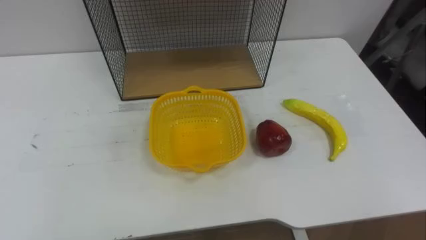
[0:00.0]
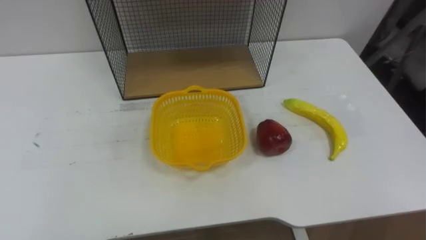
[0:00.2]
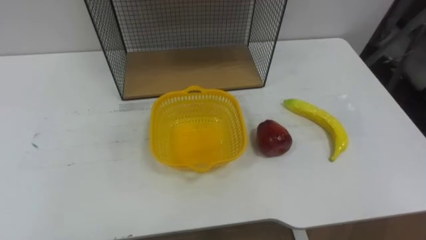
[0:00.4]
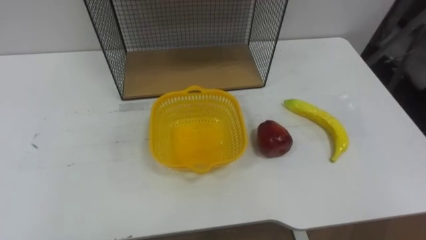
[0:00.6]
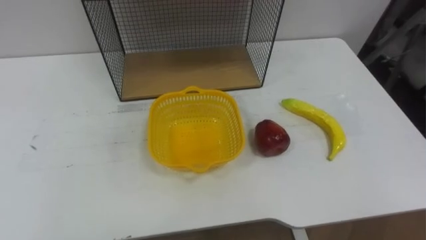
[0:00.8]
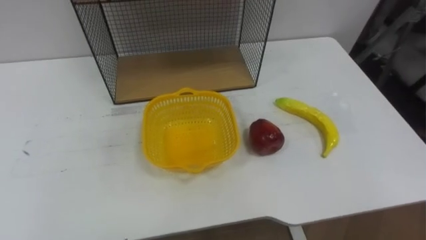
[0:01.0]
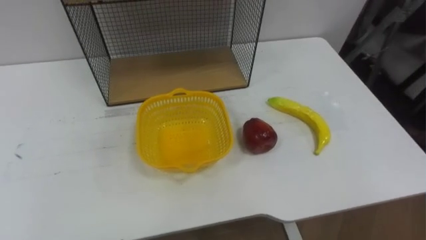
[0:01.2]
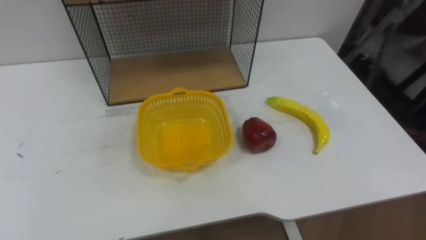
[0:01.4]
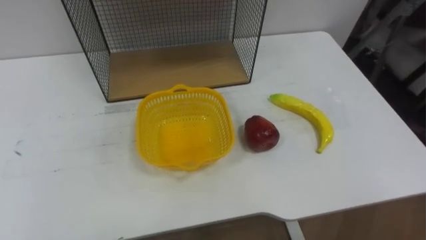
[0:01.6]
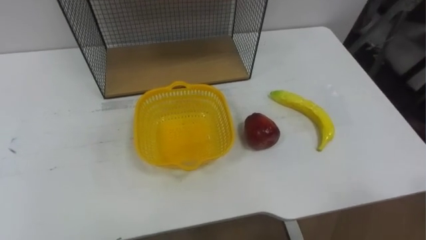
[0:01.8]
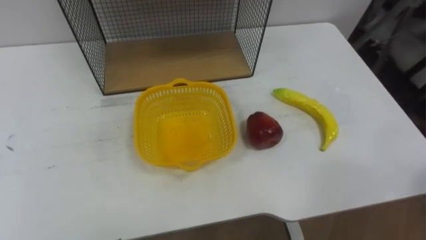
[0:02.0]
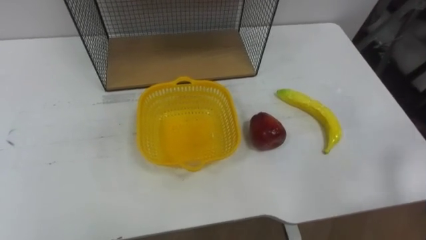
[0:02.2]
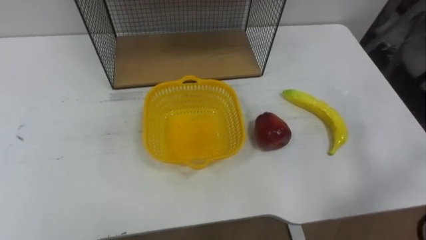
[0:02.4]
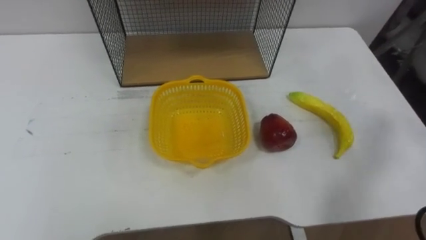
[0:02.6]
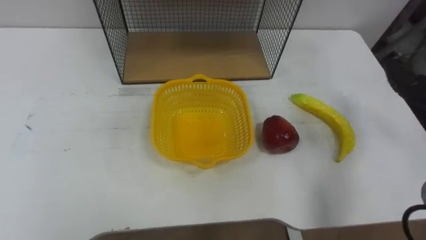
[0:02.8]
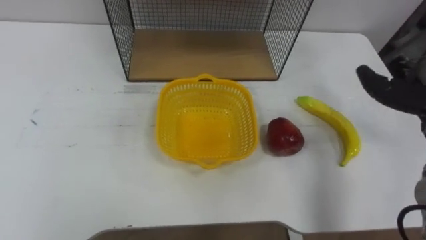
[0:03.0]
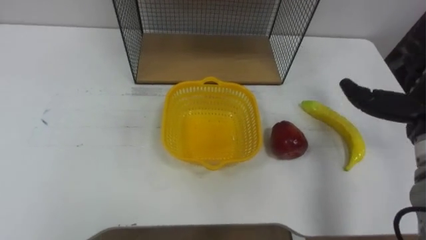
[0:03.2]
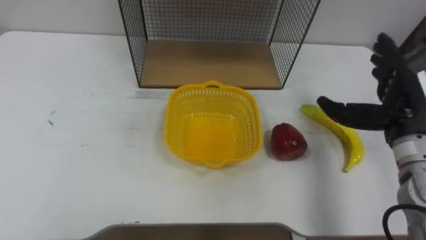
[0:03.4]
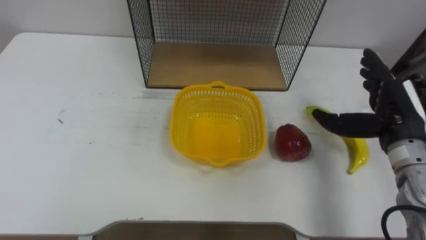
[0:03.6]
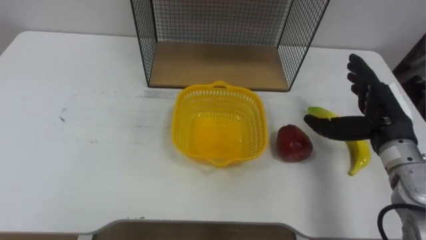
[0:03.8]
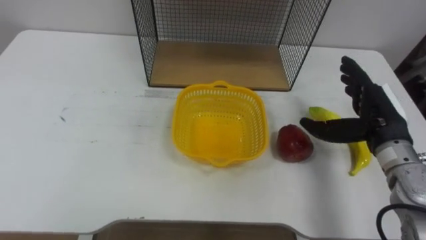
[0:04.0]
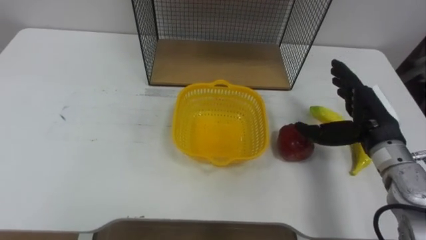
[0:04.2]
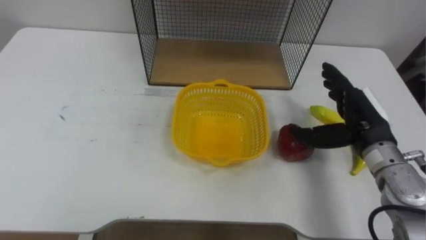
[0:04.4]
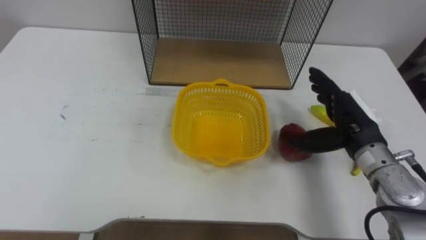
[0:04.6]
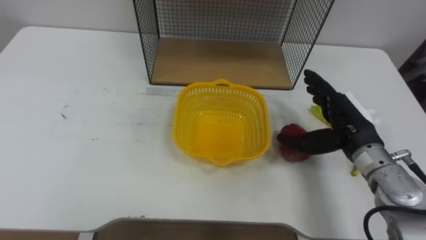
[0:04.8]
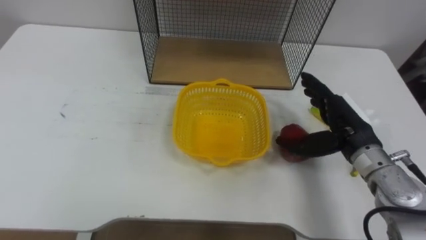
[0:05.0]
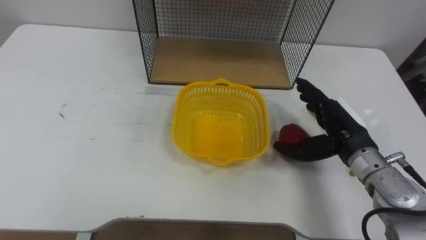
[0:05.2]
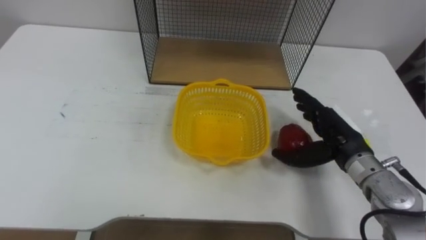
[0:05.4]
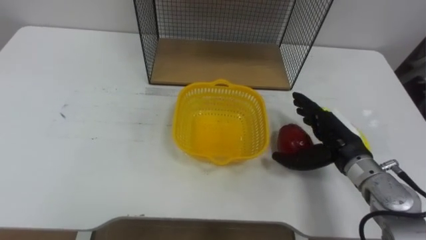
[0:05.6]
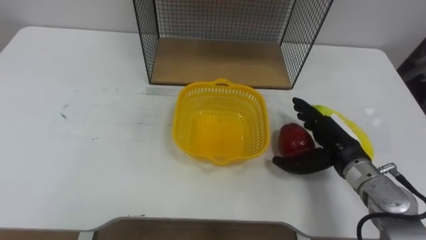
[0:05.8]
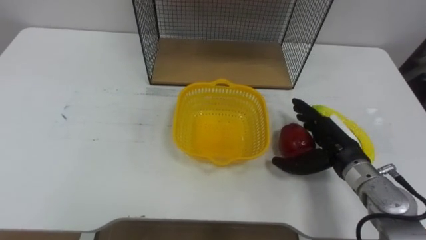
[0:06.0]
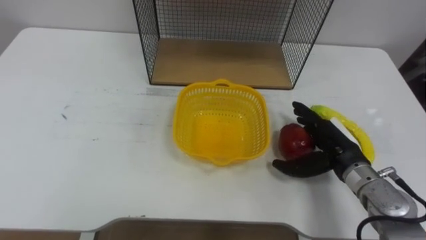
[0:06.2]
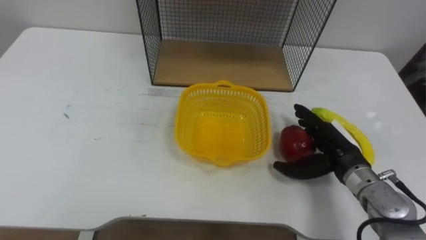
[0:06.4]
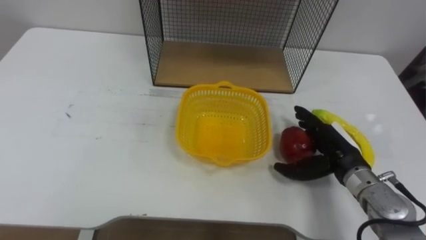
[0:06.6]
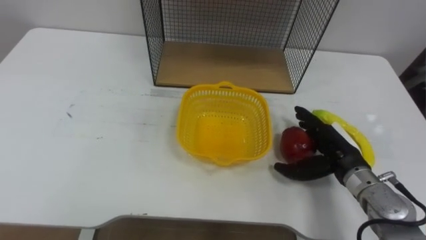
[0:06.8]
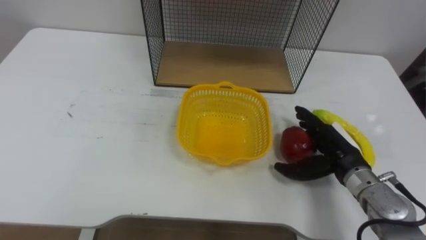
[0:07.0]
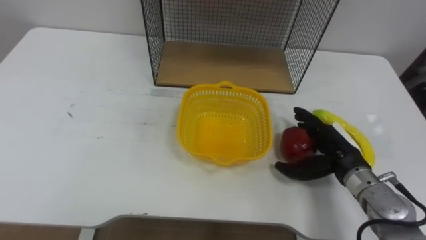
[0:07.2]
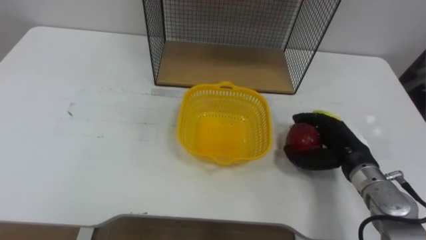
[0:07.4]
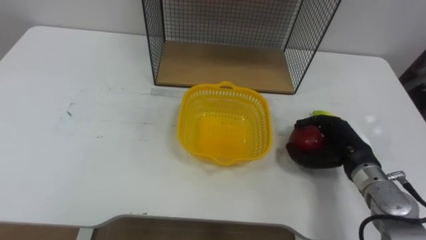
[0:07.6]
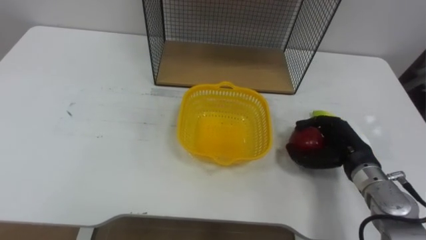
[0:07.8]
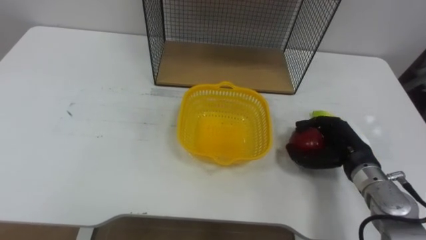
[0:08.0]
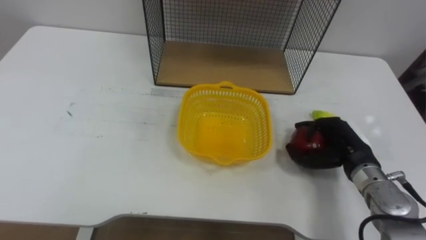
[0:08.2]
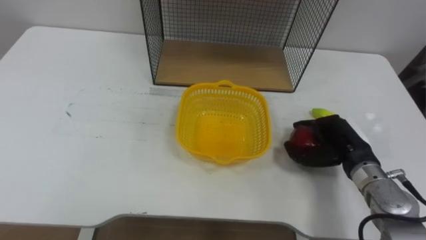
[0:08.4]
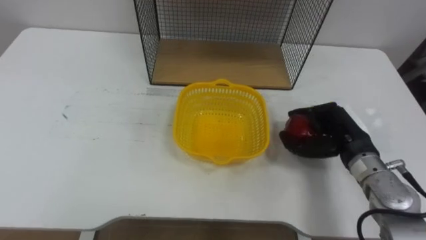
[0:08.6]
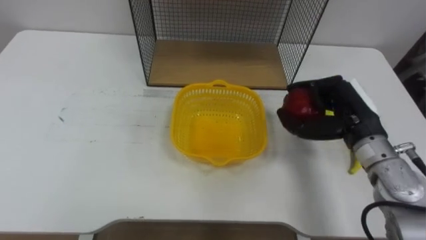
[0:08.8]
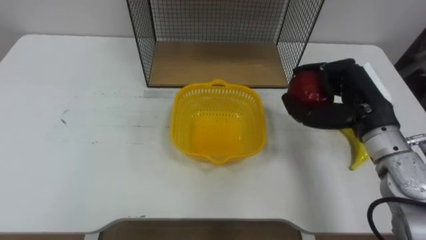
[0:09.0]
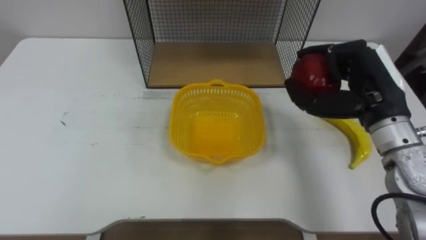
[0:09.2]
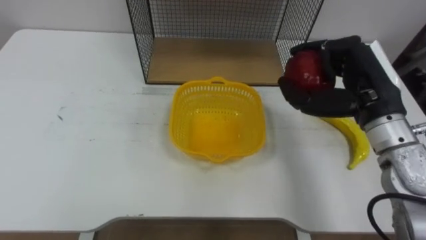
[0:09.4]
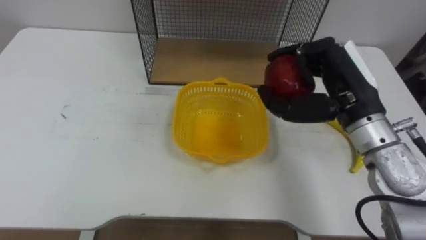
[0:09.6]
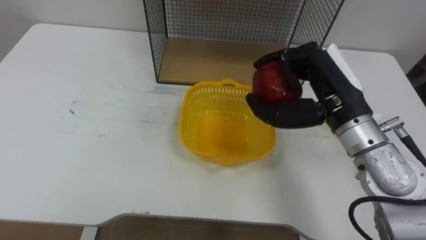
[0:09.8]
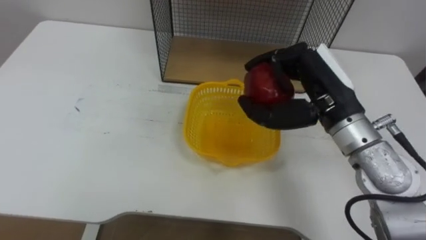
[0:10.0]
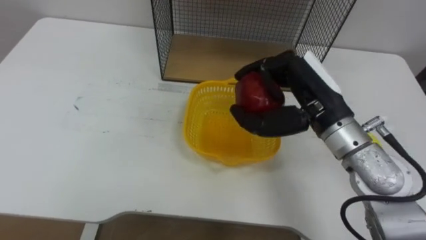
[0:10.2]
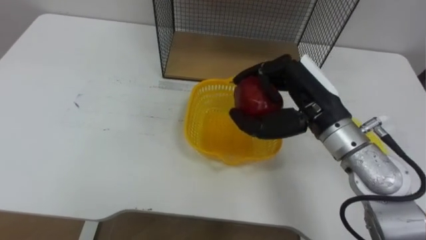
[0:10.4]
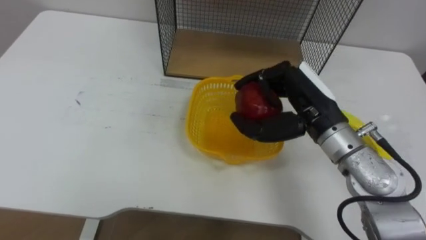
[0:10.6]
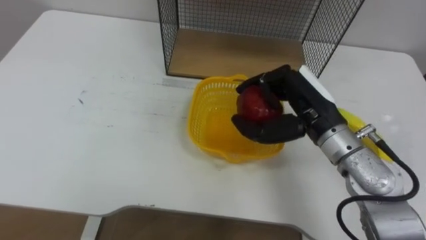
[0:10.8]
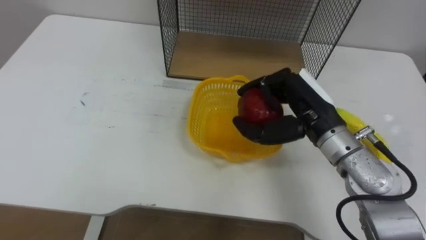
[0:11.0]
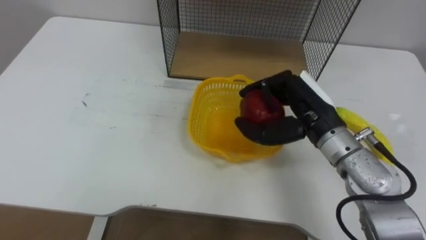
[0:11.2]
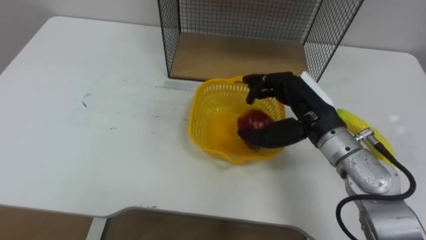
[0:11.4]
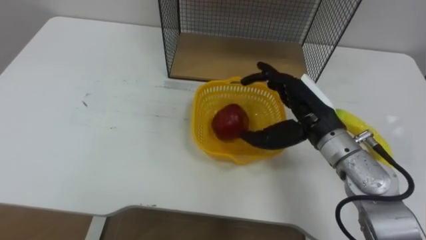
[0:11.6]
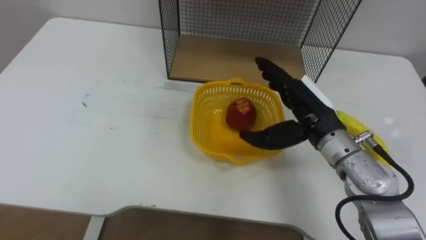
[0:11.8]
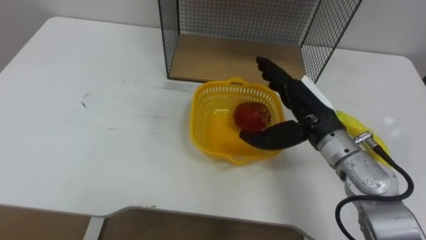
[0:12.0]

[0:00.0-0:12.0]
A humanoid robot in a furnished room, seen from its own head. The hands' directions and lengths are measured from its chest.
Task of the whole recording: Put the fruit on the table into the basket, then place the basket on the shelf.
0:04.4 to 0:06.0: The right hand moves downward, approximately 5 cm.
0:06.0 to 0:07.6: The right hand closes its fingers.
0:07.6 to 0:09.0: The right hand is displaced upward by roughly 10 cm.
0:09.0 to 0:10.4: The right hand goes some 10 cm to the left.
0:10.4 to 0:12.0: The right hand ends up about 5 cm from where it was, and opens.

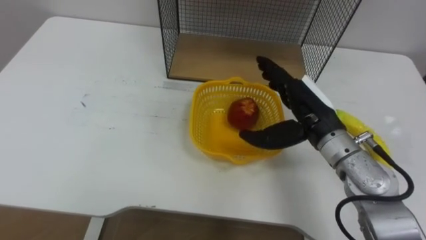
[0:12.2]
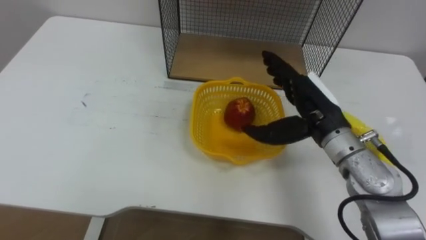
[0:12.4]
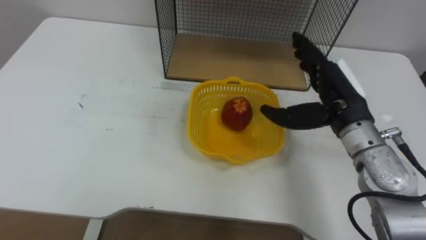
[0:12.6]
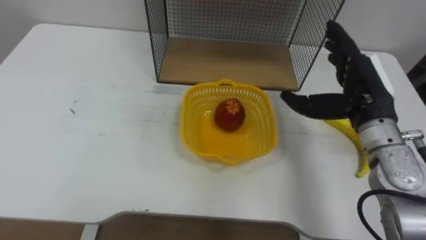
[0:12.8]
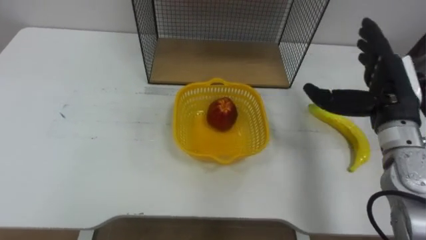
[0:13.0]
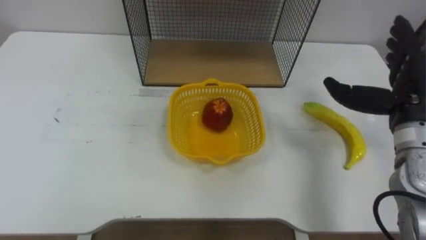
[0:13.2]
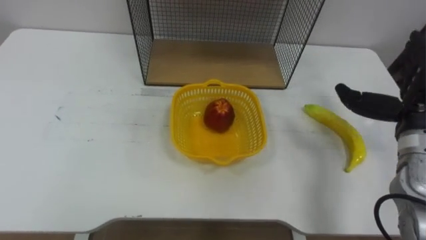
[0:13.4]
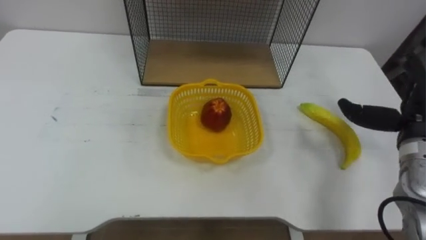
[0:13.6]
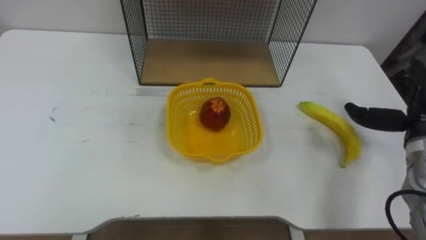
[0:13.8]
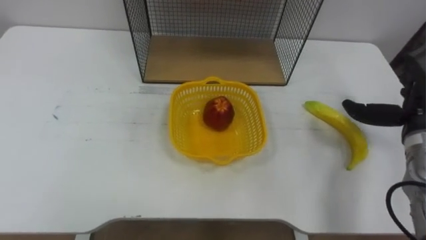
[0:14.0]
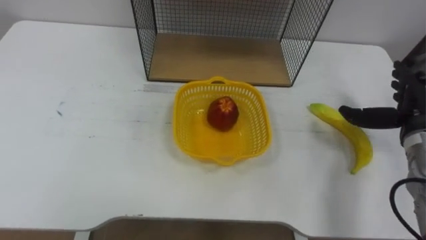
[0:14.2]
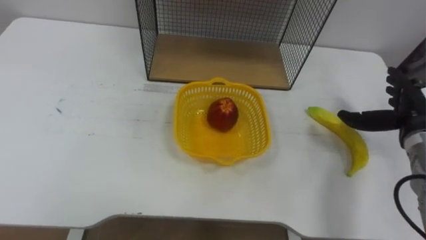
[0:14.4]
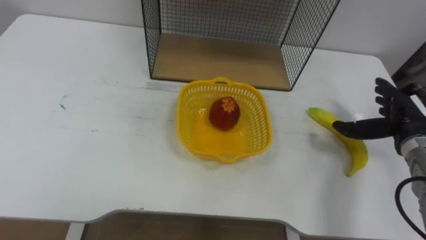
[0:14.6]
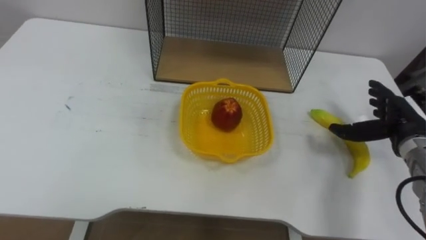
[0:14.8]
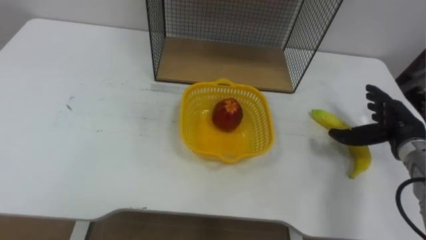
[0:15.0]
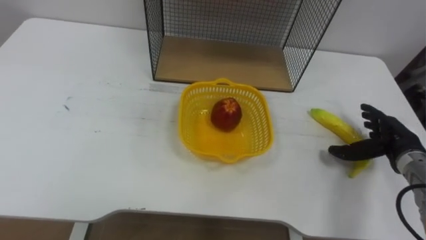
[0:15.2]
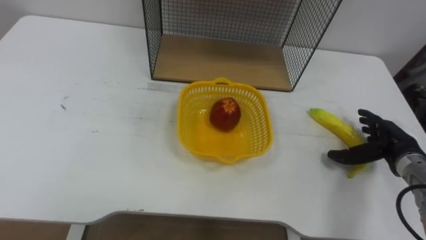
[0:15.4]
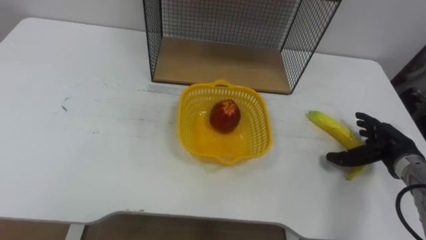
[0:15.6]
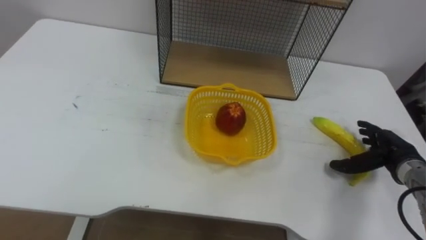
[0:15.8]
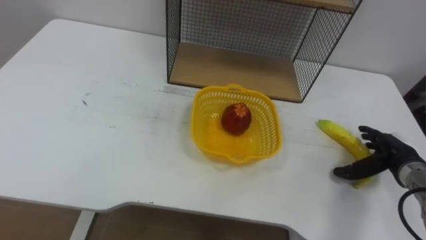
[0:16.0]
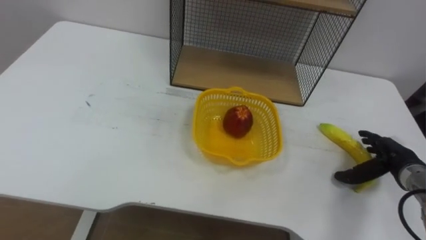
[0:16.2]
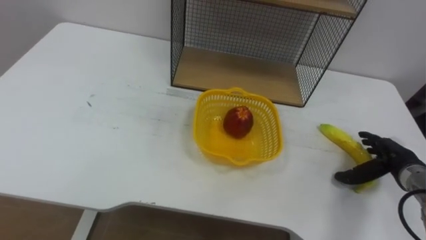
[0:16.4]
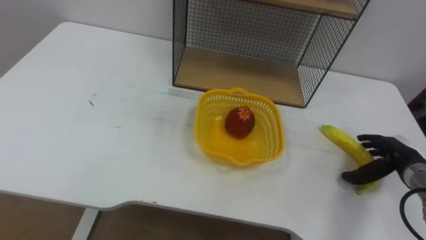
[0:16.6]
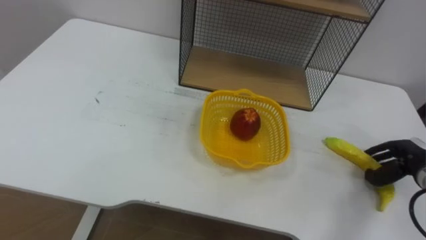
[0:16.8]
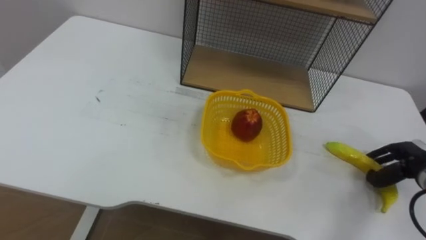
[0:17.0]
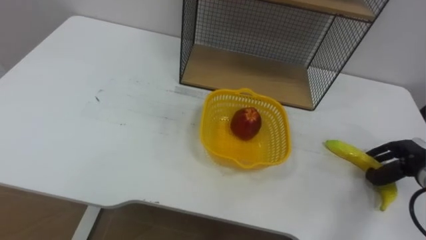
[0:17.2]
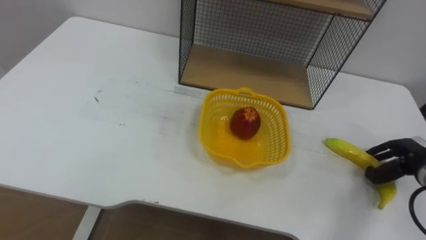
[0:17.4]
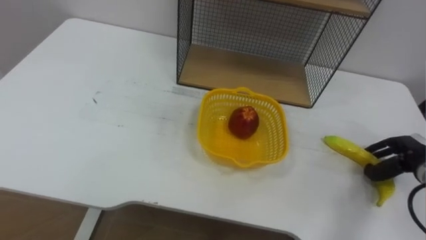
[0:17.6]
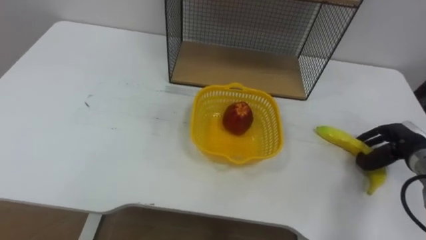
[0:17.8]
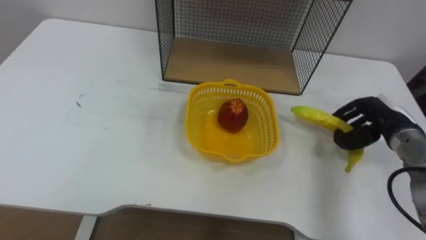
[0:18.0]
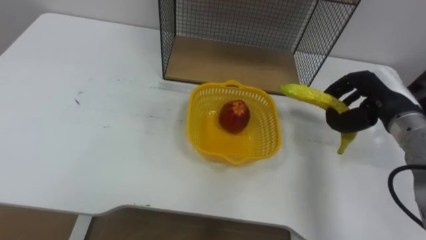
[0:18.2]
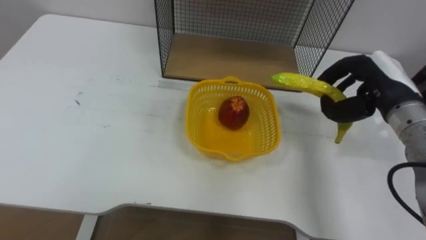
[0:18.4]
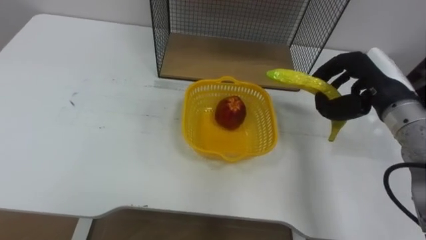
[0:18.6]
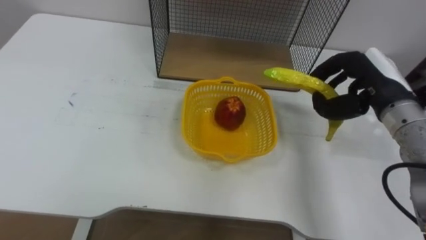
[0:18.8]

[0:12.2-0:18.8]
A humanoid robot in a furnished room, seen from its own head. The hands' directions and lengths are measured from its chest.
Task of the whole recording: Put the fruit on the table into the basket, then place the basket on the shelf.
0:12.2 to 0:13.8: The right hand travels to the right by approximately 20 cm.
0:13.8 to 0:15.4: The right hand is displaced downward by about 10 cm.
0:15.4 to 0:17.2: The right hand moves approximately 5 cm, and closes up.
0:17.2 to 0:18.8: The right hand shifts approximately 20 cm upward and to the left.
